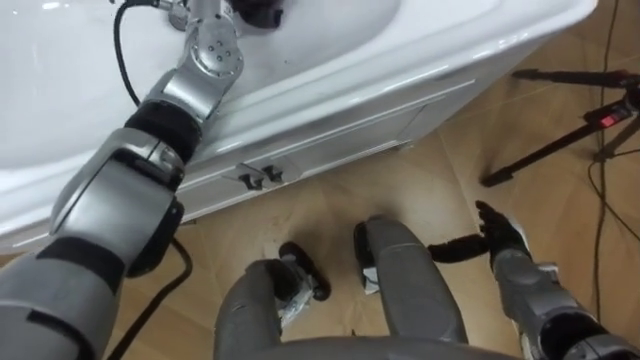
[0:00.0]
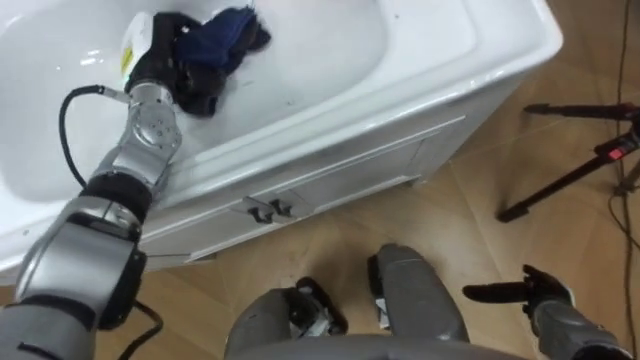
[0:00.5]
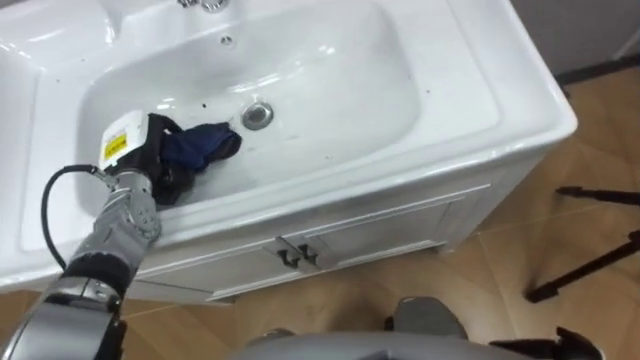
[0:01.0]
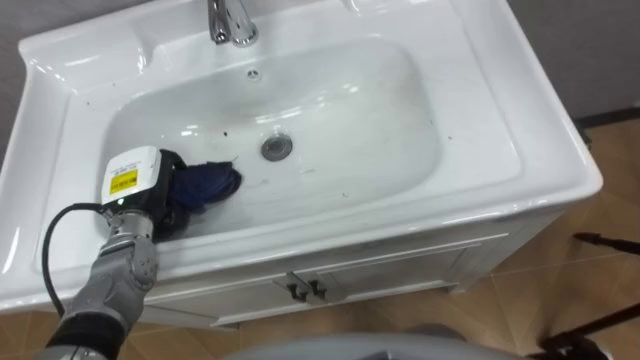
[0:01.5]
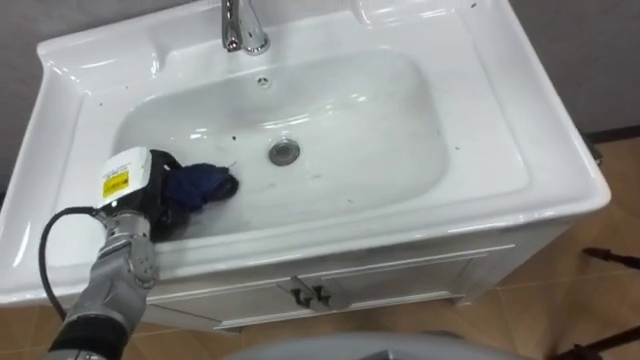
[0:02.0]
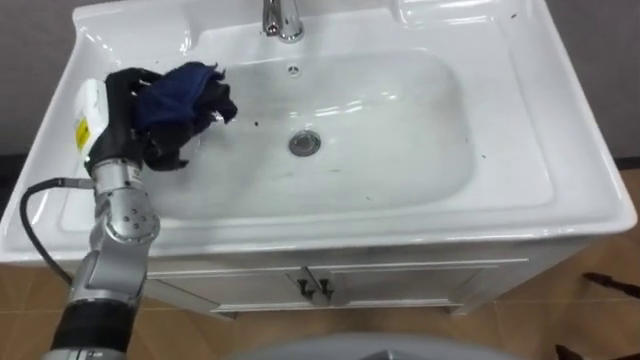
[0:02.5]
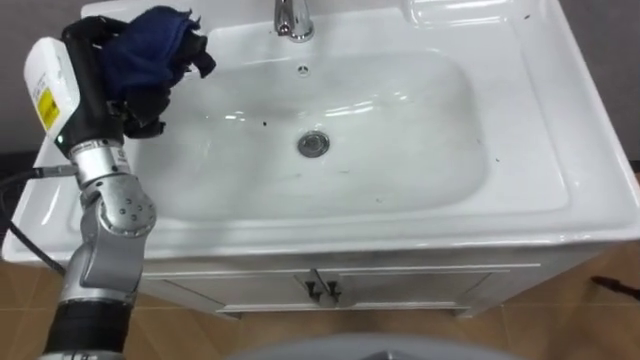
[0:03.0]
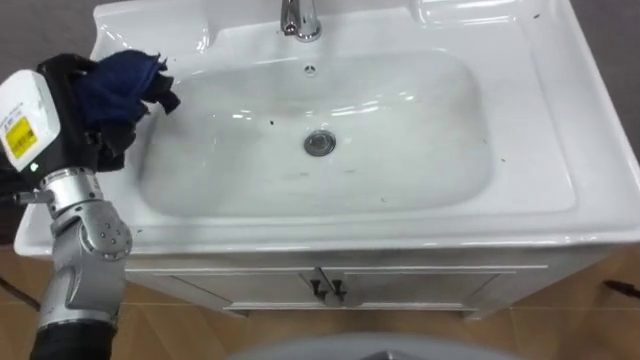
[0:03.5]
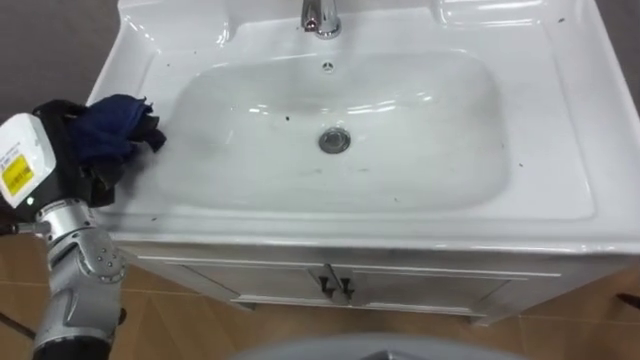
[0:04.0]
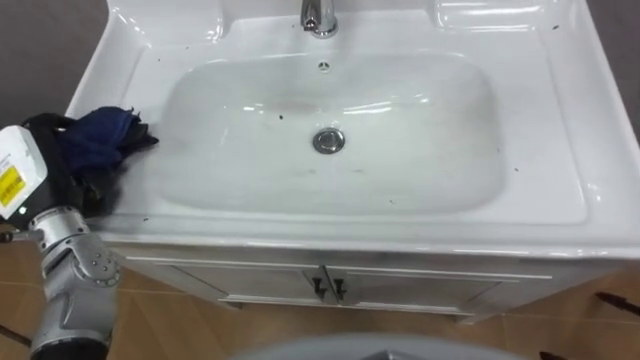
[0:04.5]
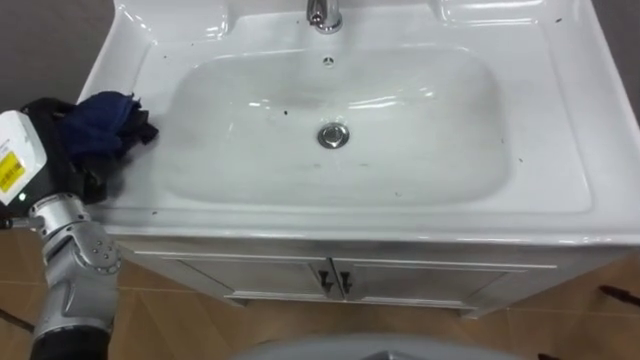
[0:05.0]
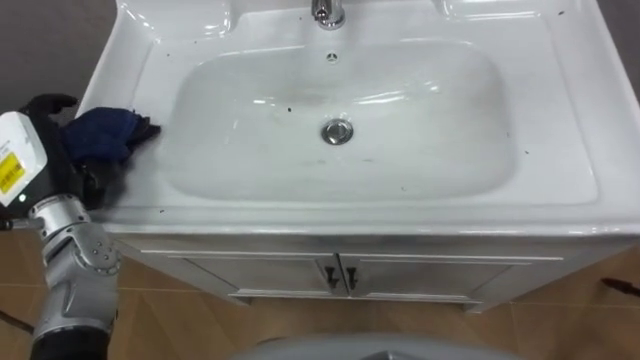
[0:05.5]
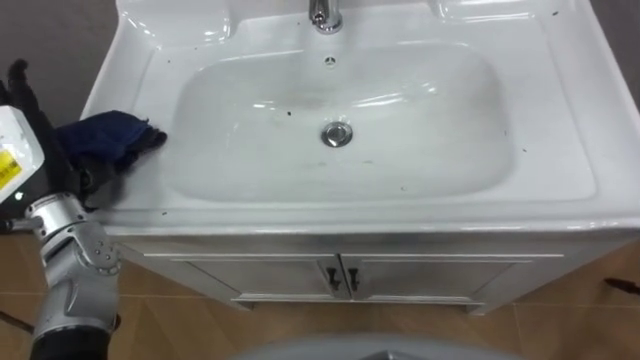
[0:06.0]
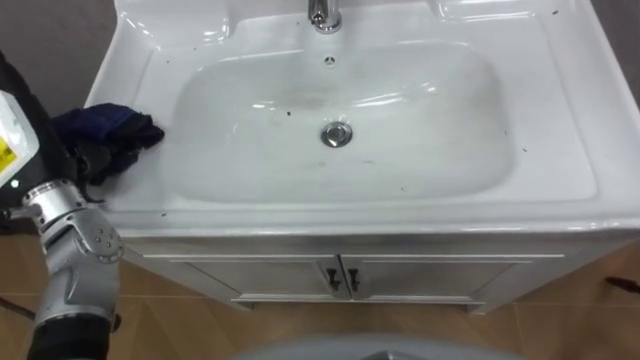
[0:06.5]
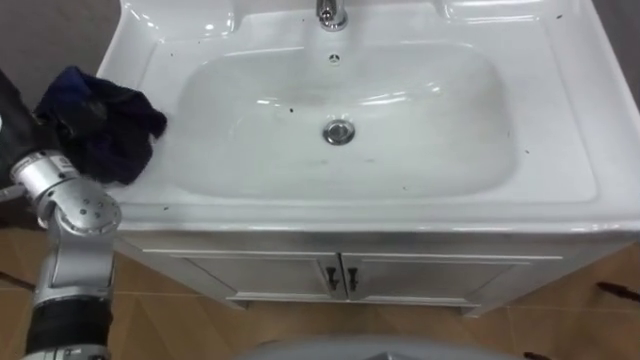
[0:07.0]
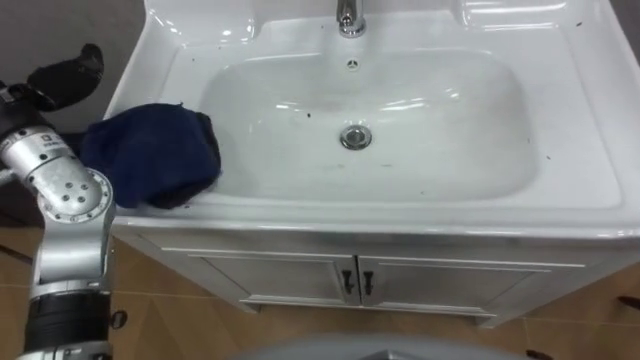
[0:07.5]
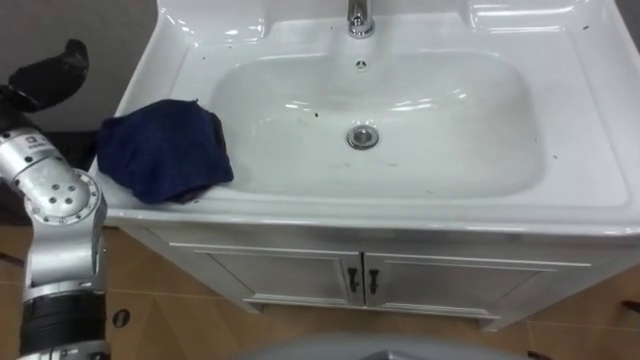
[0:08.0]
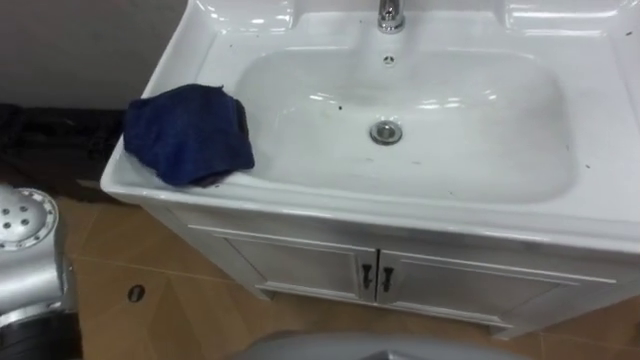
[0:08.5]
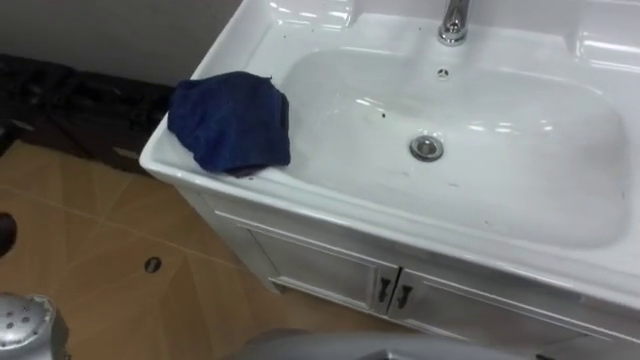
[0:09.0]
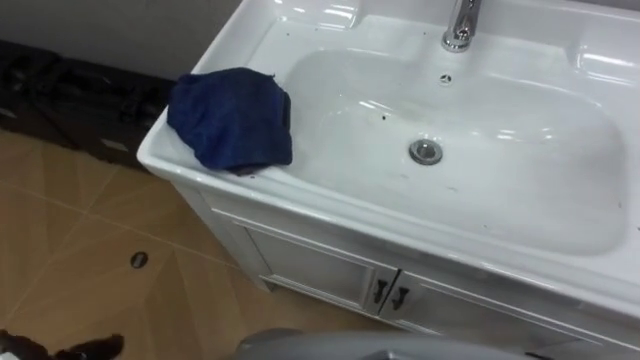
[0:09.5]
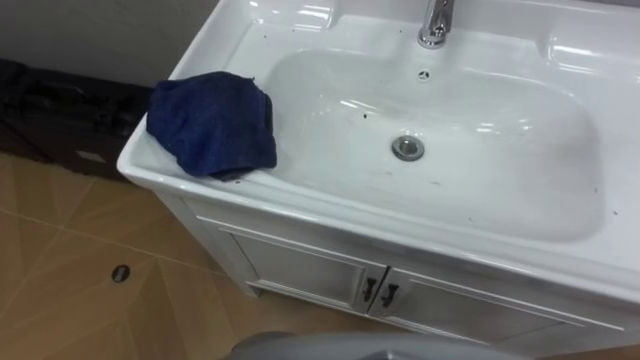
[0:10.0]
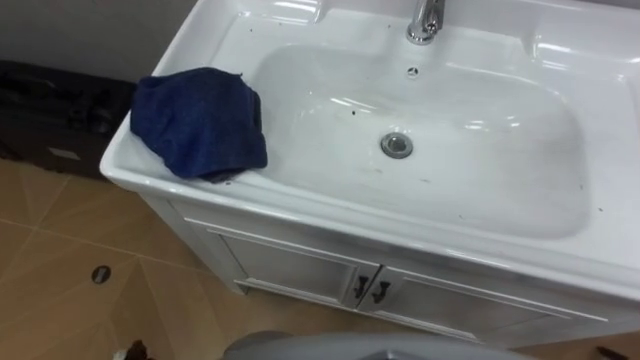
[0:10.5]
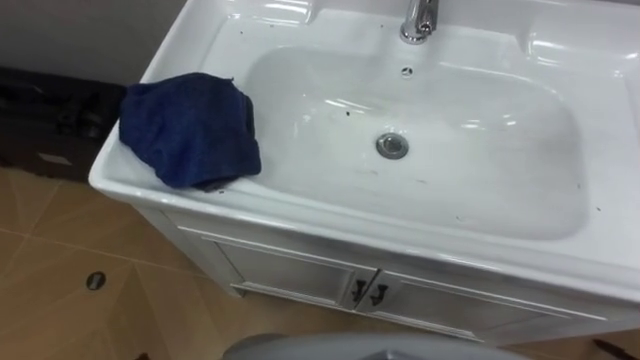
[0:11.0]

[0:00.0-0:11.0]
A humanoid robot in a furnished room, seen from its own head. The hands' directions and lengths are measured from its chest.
Task of the whole recording: Use the cloth on the right to wipe away the black stain in the sink.
0:02.0 to 0:03.5: The left hand moves upward, roughly 15 cm.
0:03.5 to 0:05.5: The left hand shifts by some 5 cm.

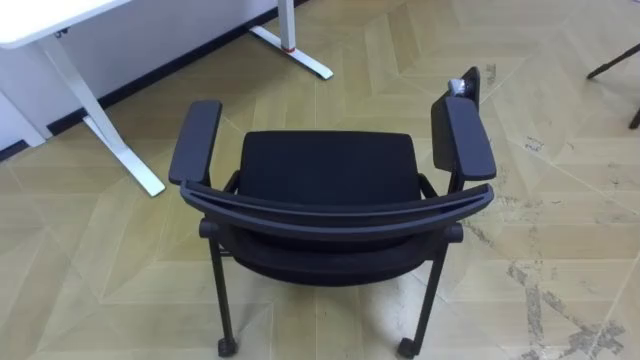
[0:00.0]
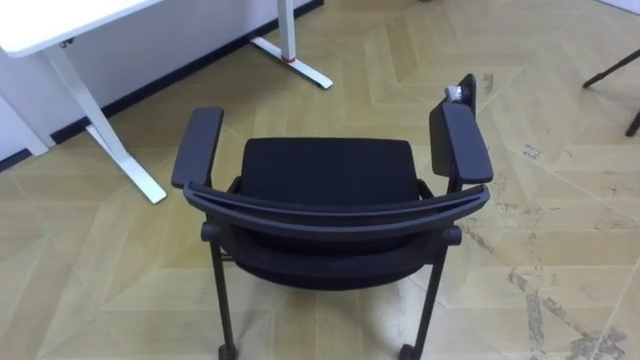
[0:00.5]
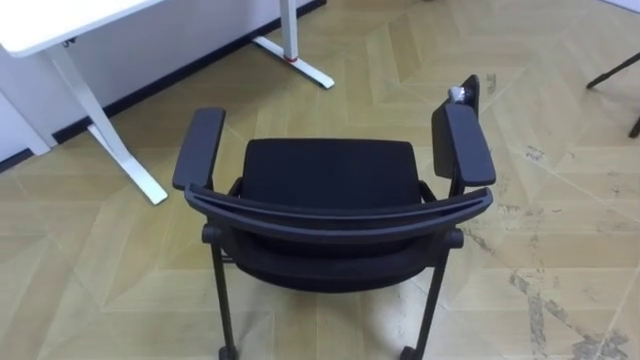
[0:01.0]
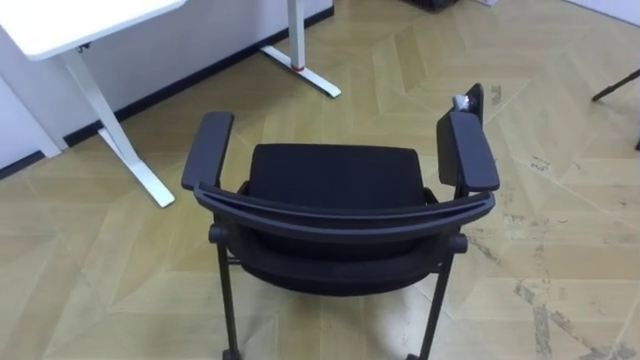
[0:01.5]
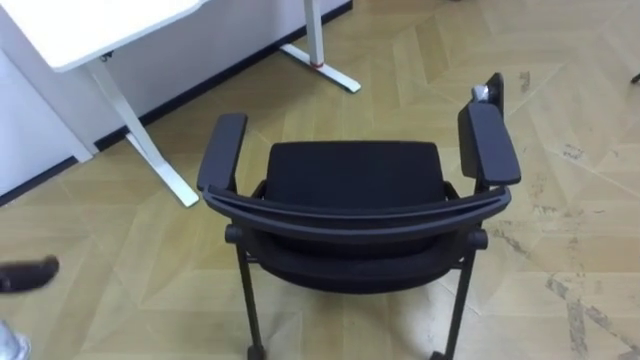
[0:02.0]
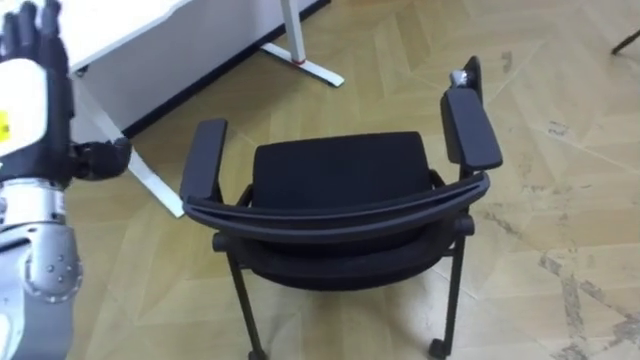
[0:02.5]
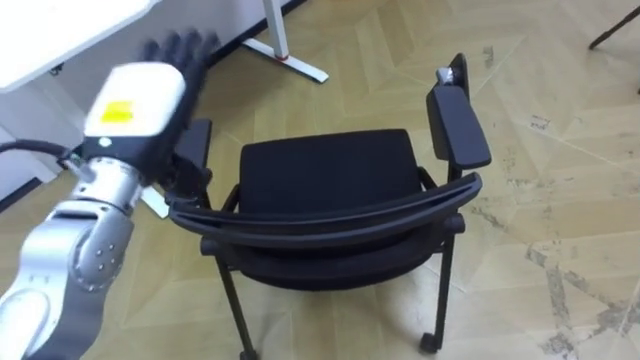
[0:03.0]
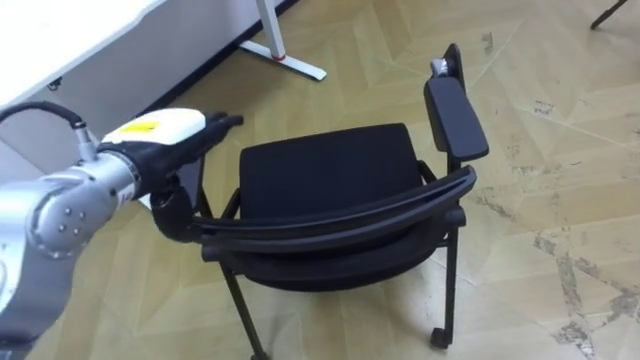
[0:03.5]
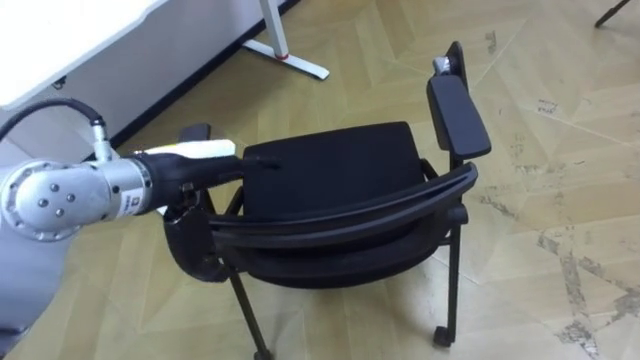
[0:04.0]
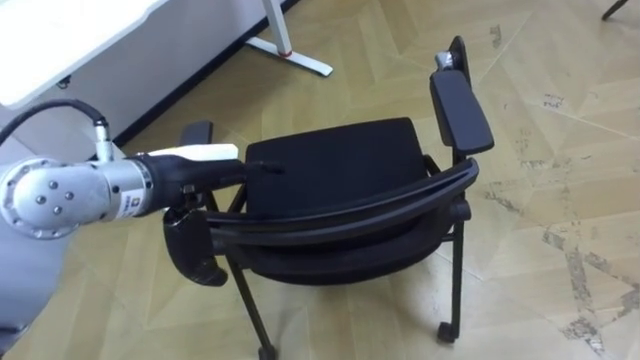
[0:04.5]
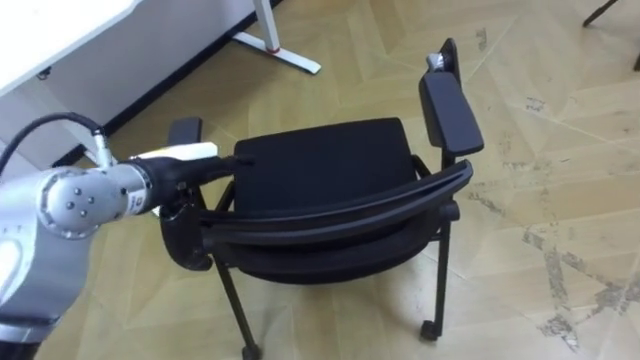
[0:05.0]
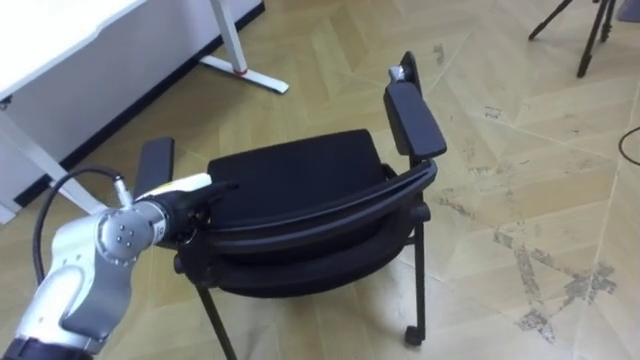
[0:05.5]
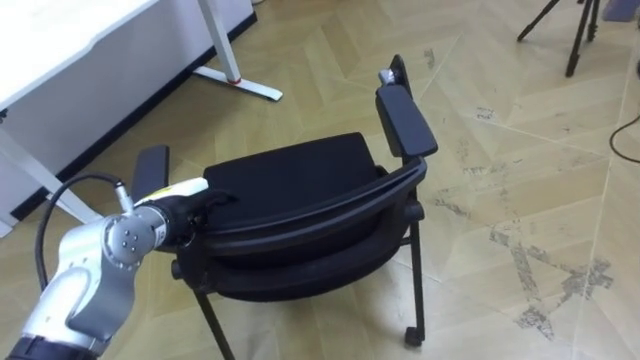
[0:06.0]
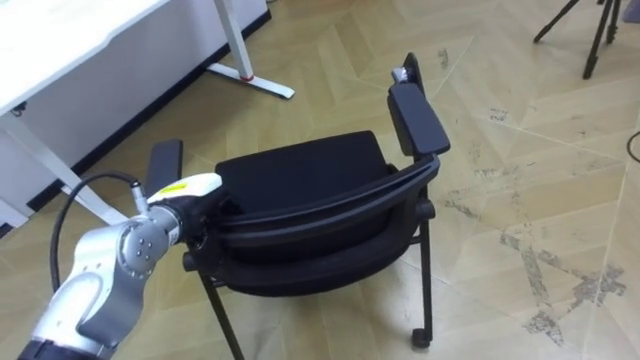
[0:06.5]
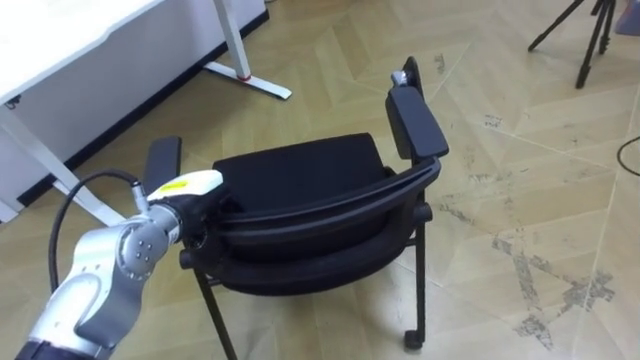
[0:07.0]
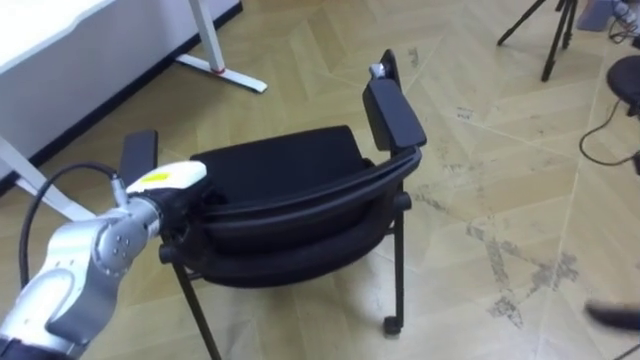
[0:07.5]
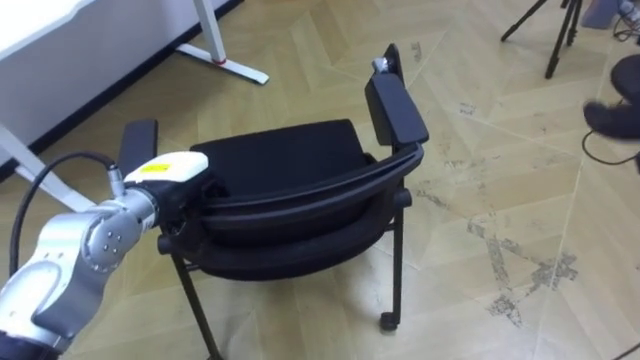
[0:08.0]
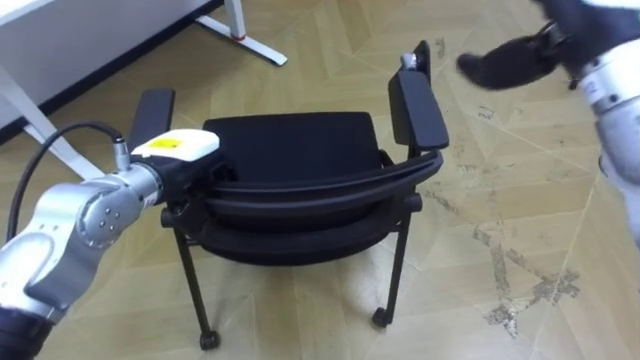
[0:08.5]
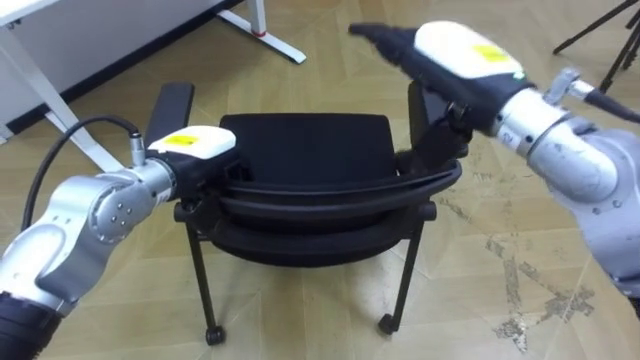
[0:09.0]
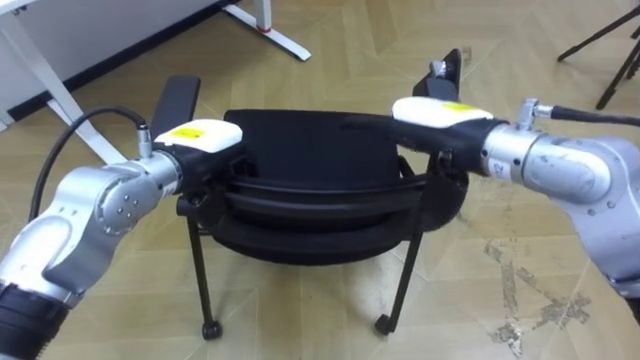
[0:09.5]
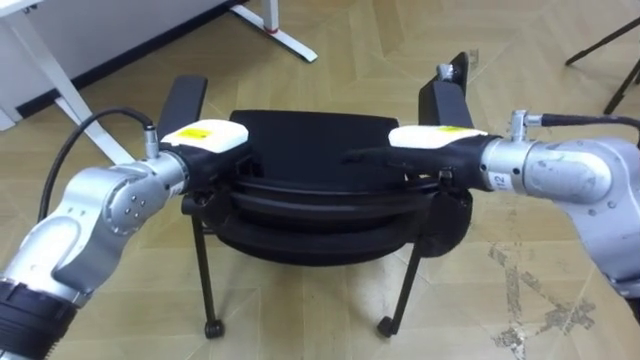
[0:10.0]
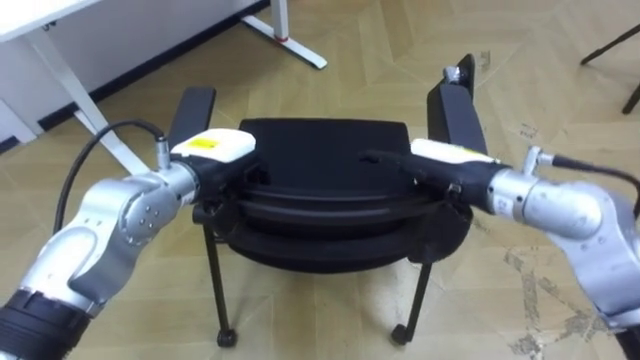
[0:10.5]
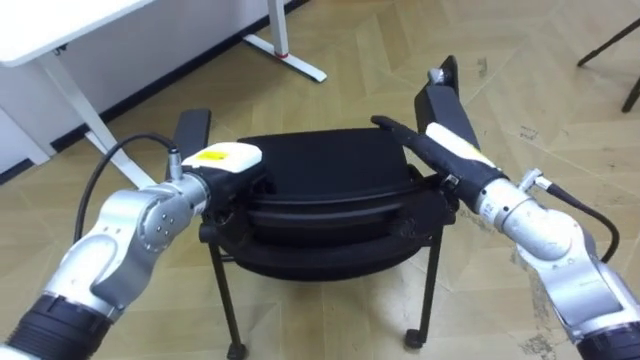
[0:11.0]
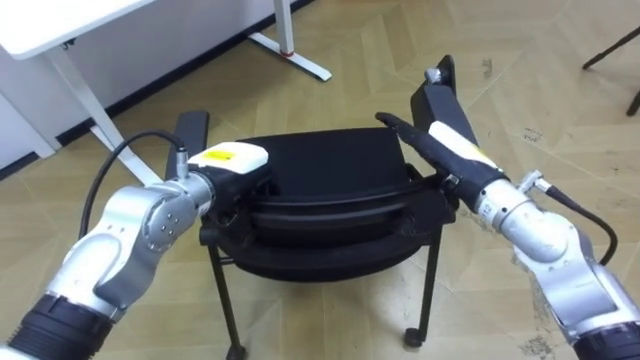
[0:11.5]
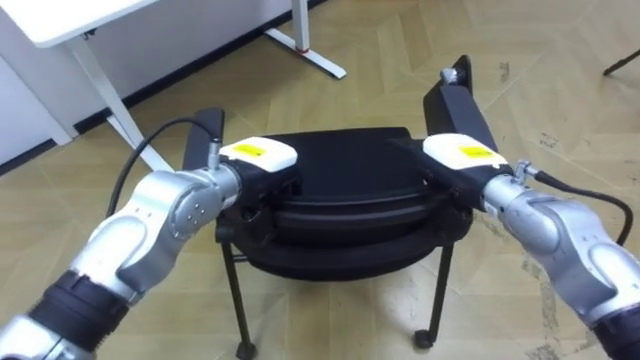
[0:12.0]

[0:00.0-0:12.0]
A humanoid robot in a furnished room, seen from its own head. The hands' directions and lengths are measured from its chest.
Task of the whole recording: Push the chair under the table.
0:04.0 to 0:06.0: The left hand shifts some 10 cm downward.
0:06.0 to 0:08.0: The left hand closes its fingers.
0:08.0 to 0:10.0: The left hand ends up some 5 cm from where it was.
0:10.0 to 0:12.0: The right hand heads downward, covering about 5 cm. Meanwhile the left hand is displaced to the right by some 5 cm.
